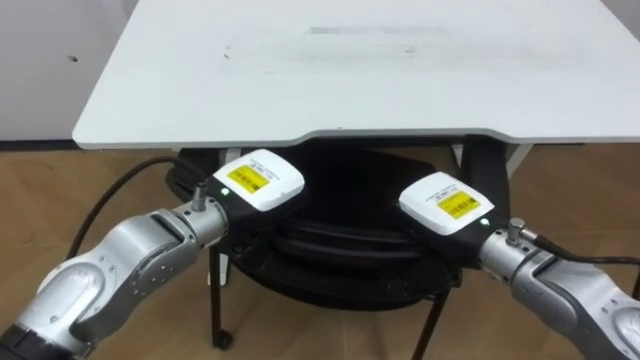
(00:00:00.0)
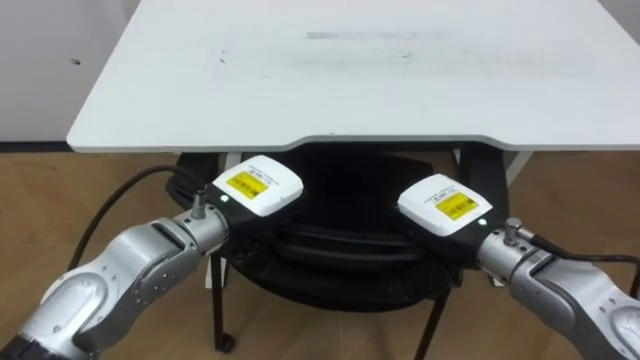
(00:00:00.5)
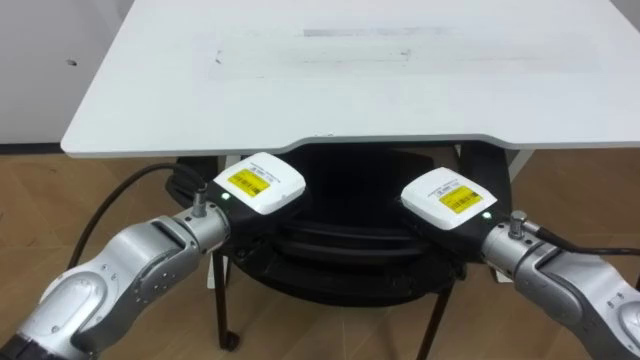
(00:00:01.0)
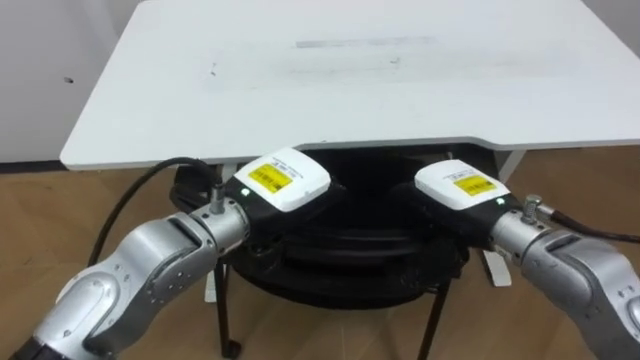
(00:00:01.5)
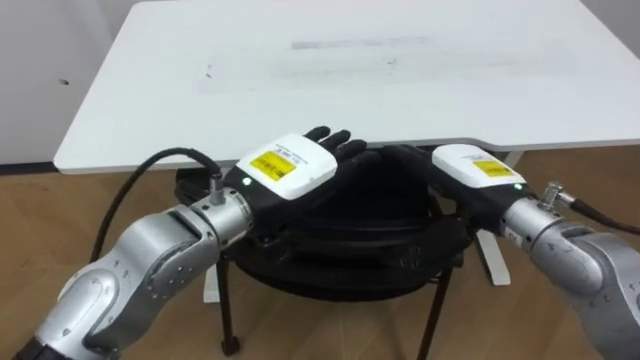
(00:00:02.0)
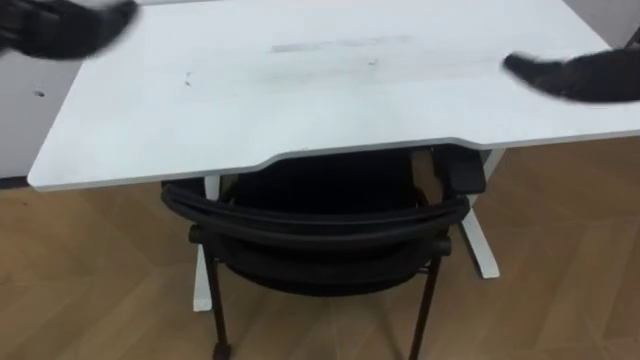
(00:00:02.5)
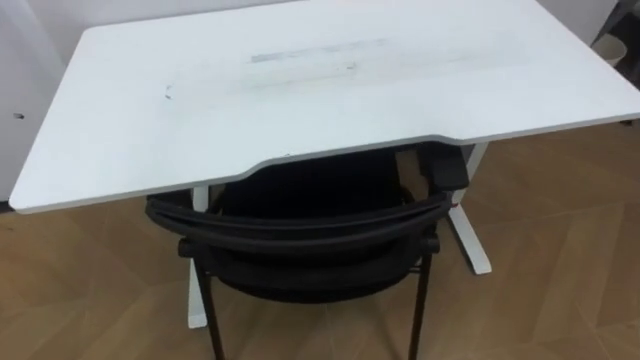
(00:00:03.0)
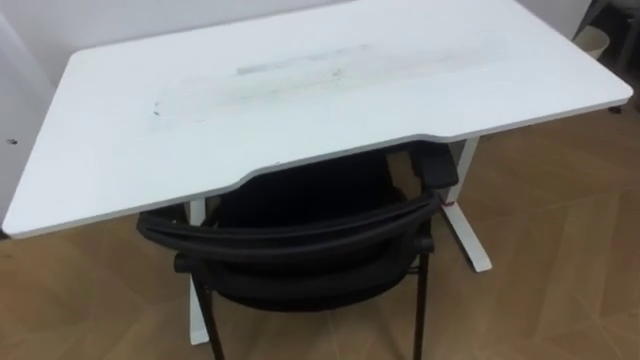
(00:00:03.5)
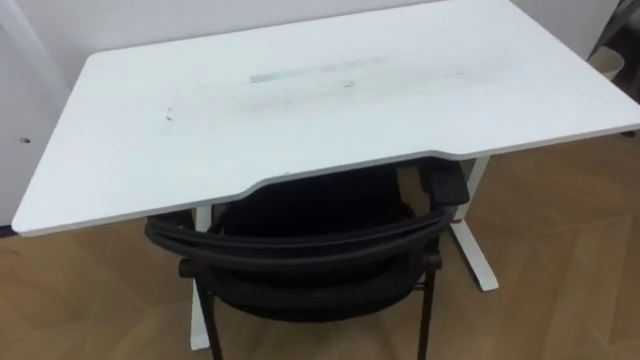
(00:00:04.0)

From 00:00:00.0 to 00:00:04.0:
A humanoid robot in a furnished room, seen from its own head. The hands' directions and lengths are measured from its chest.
Task of the whole recording: Push the chair under the table.
From 00:00:00.0 to 00:00:02.0: The right hand opens, while the left hand ends up roughly 5 cm from where it was, and opens its fingers.

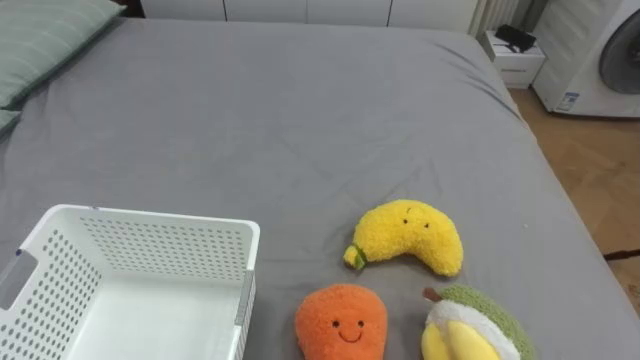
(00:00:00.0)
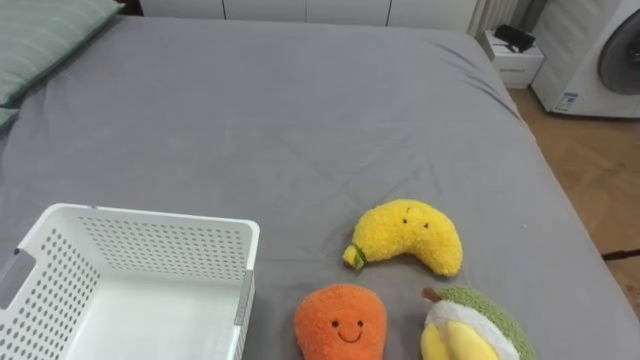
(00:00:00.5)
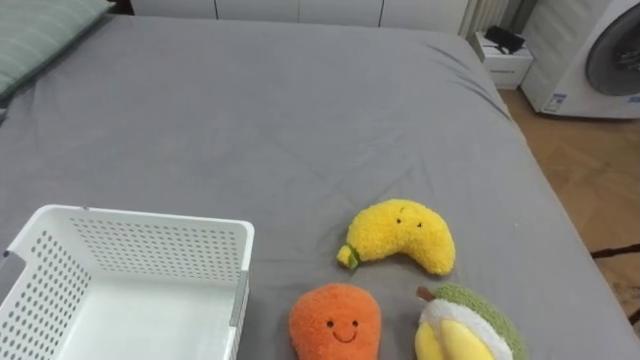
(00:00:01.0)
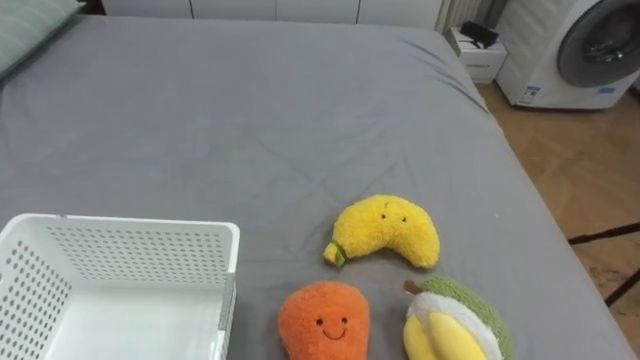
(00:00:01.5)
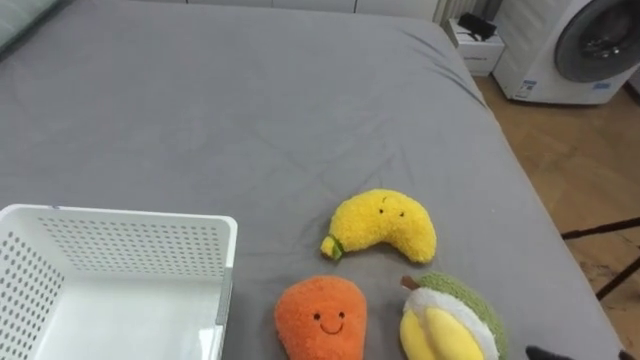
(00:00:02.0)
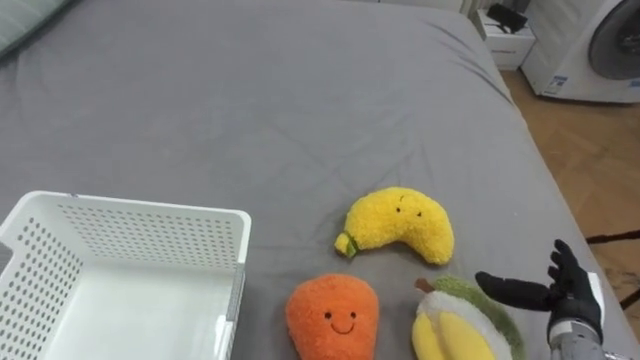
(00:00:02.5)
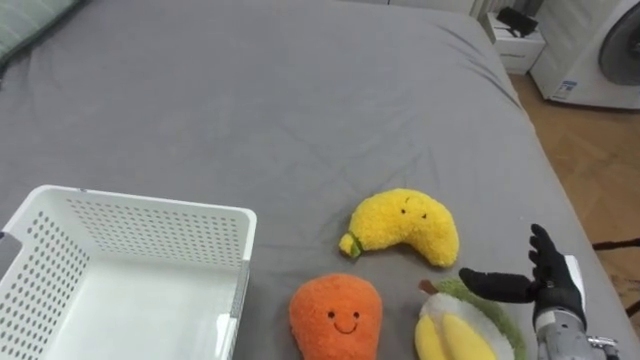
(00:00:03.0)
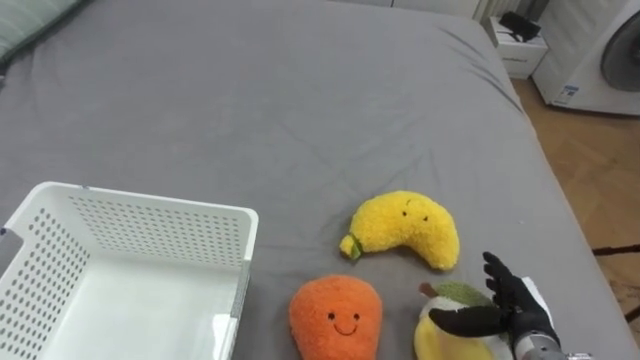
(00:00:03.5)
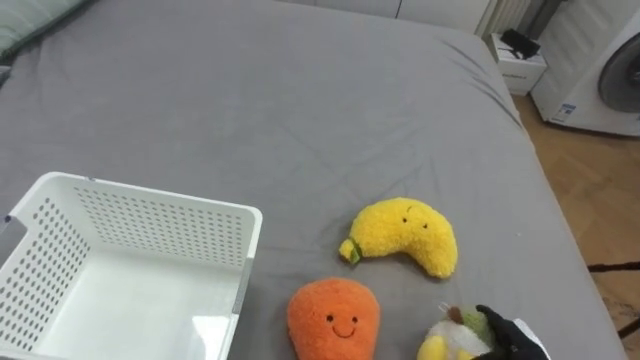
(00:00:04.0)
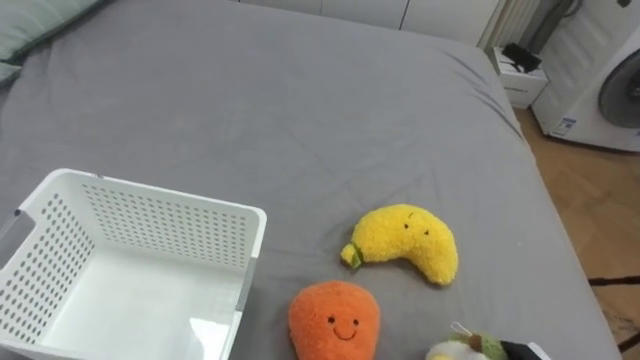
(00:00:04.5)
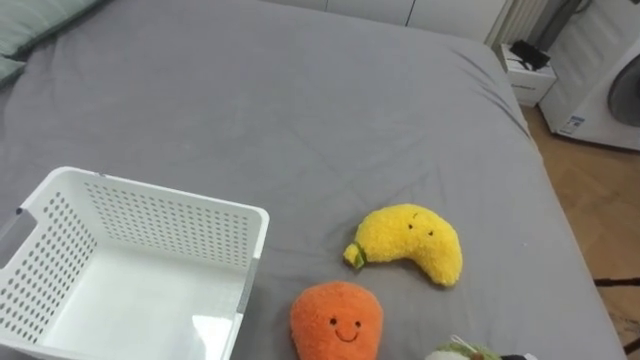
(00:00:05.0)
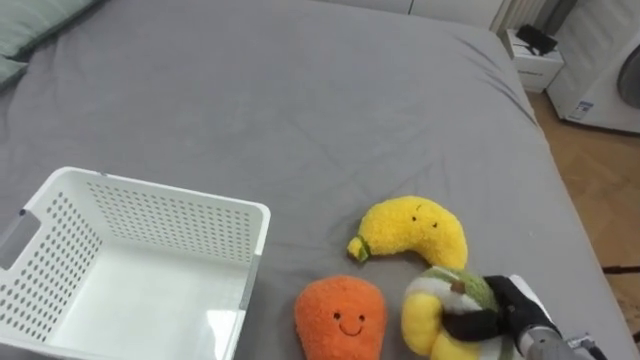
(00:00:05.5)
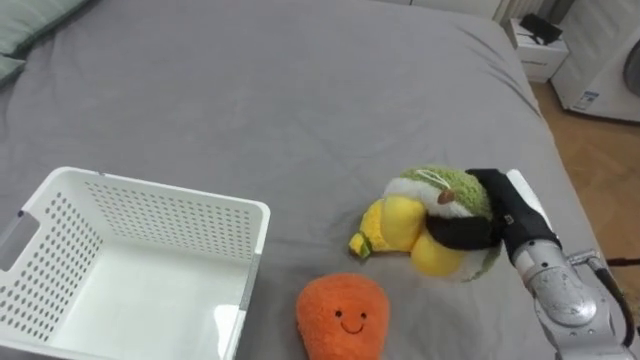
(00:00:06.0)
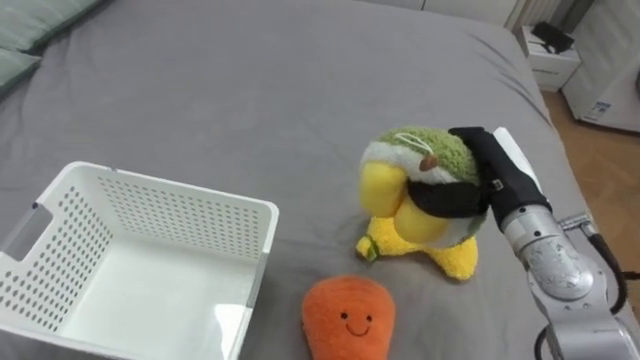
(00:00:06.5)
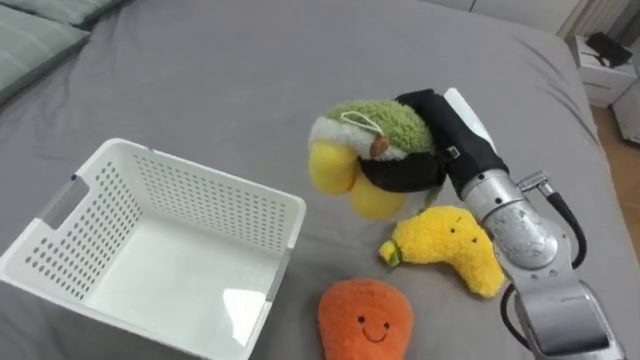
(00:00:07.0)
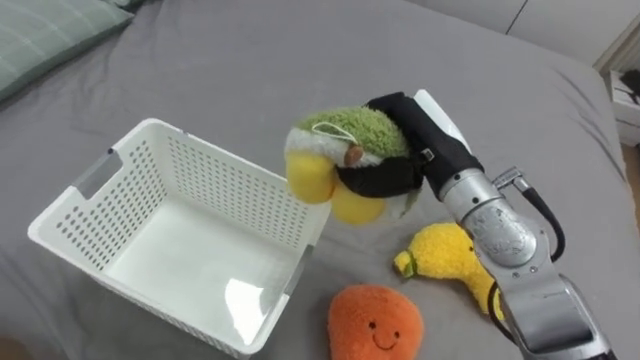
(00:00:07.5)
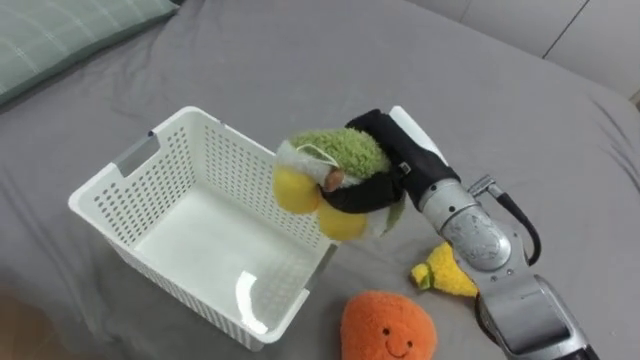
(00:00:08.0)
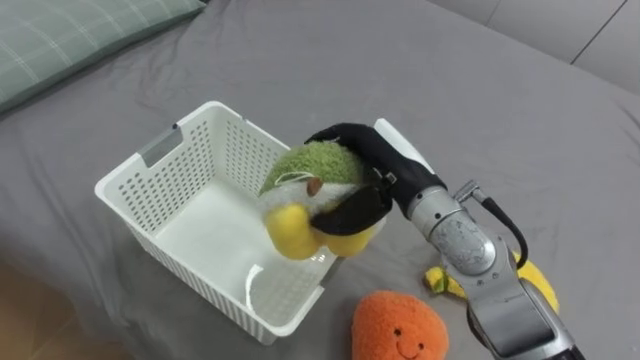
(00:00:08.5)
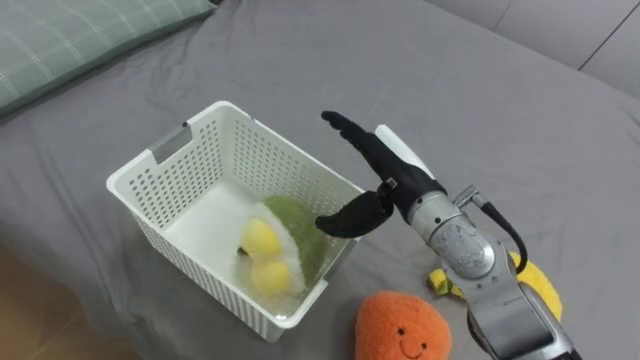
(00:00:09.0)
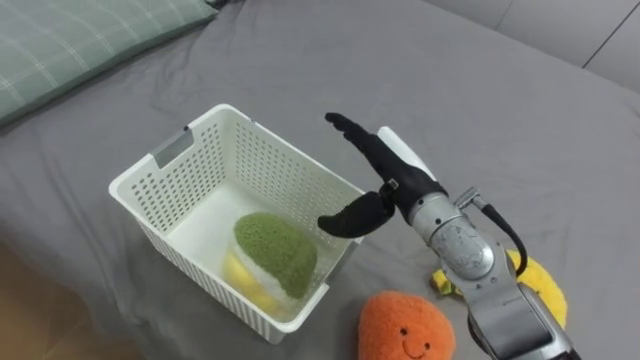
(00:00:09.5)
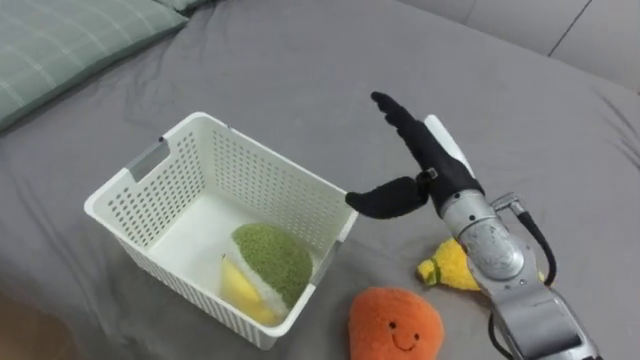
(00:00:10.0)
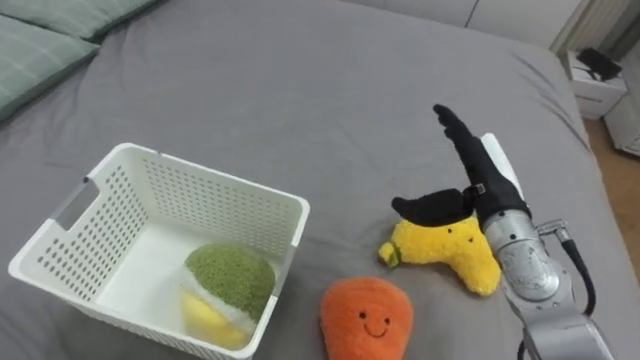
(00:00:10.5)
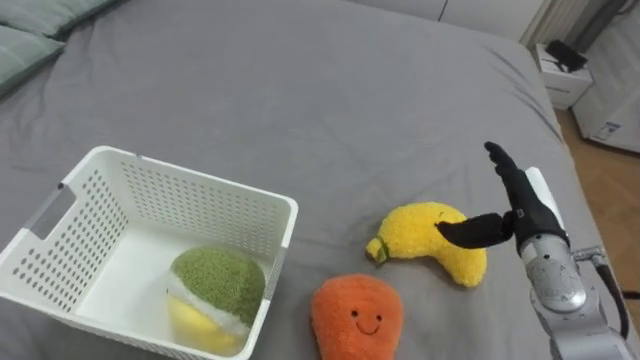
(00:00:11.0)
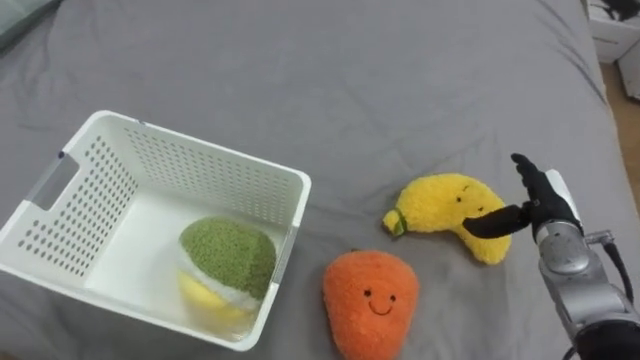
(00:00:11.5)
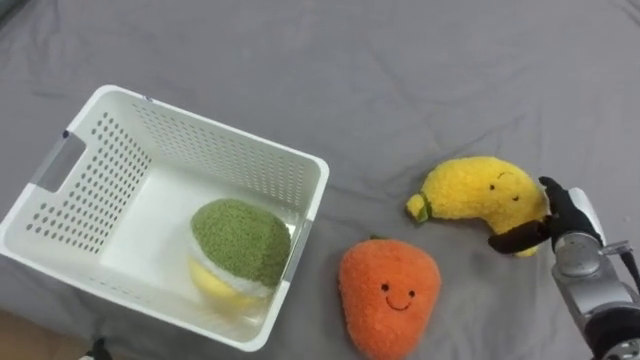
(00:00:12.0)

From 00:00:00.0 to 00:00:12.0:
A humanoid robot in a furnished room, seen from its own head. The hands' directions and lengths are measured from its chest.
Task of the whole recording: Put the toys on the bed into the basket on the left.
From 00:00:06.0 to 00:00:08.0: The right hand shifts approximately 15 cm to the left and upward.
From 00:00:08.0 to 00:00:10.0: The right hand opens.
From 00:00:10.0 to 00:00:12.0: The right hand is displaced to the right and downward by roughly 25 cm.

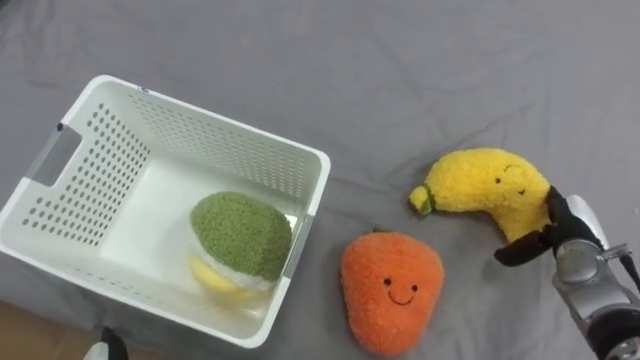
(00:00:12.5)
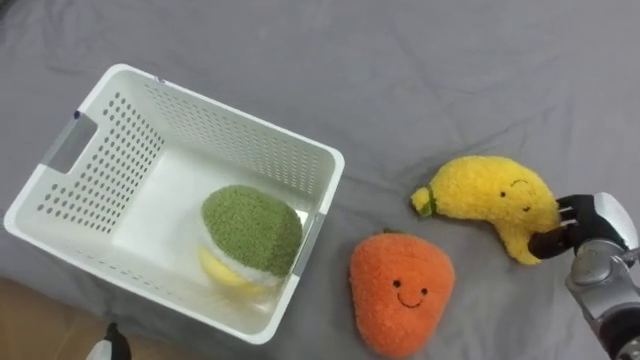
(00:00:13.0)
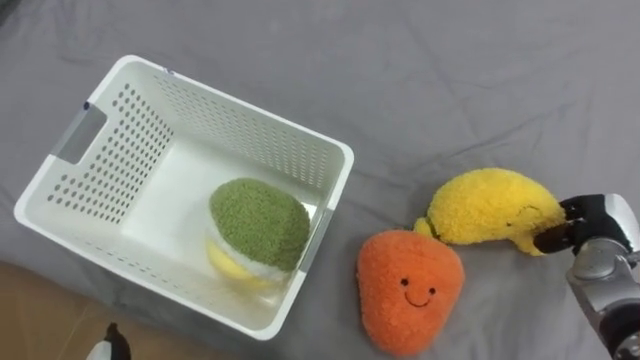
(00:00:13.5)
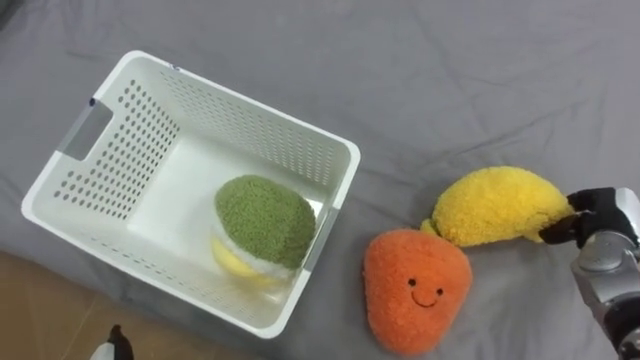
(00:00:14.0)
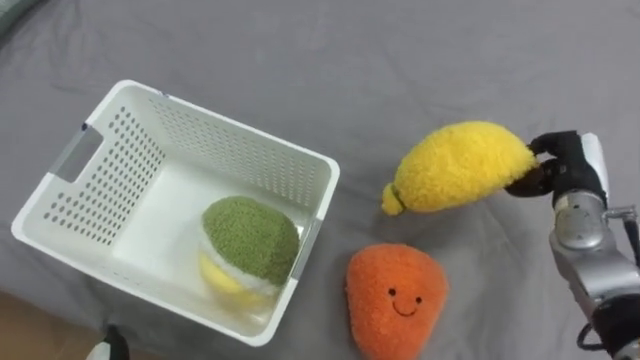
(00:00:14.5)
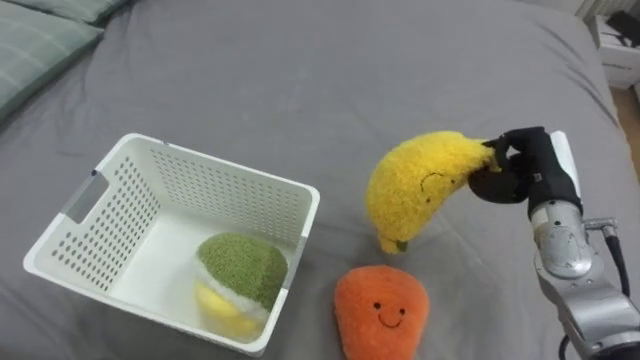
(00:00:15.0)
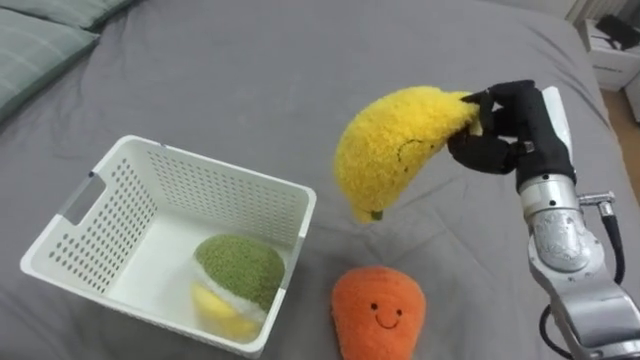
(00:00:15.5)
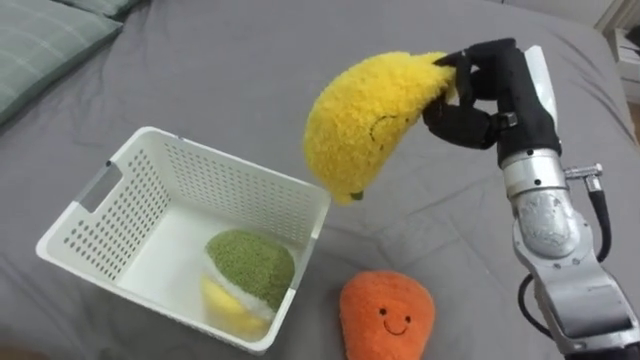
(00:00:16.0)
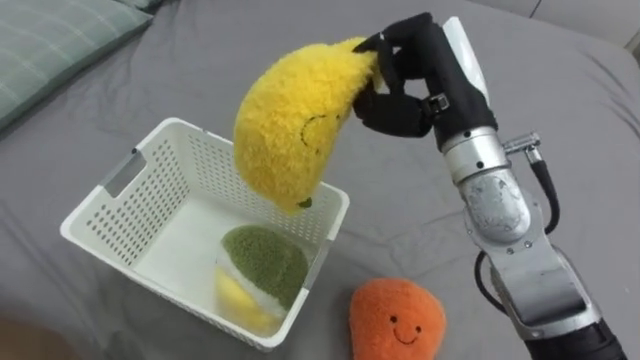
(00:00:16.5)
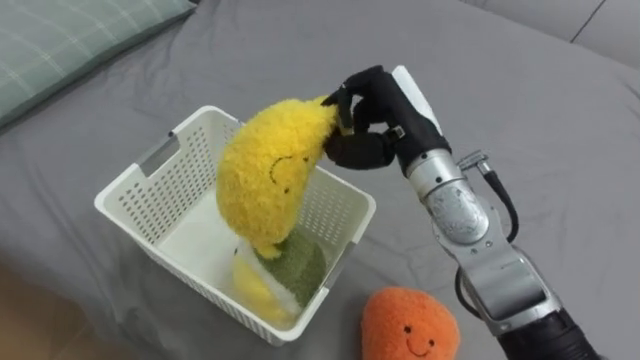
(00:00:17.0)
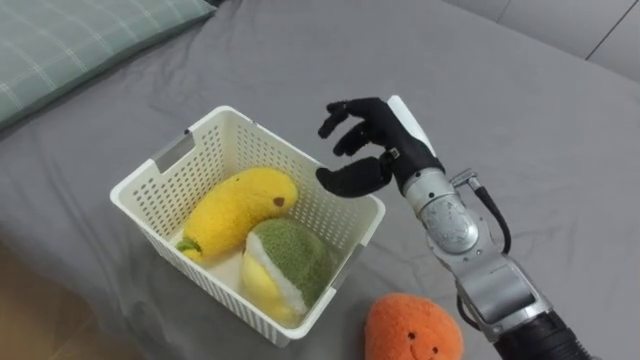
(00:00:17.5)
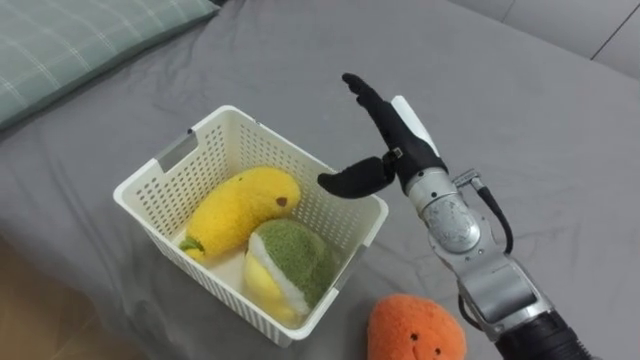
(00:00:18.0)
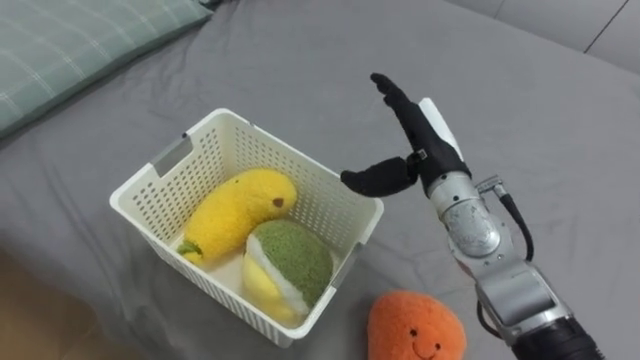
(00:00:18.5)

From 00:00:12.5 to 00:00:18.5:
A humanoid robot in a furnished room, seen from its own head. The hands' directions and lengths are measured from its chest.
Task of the whole recording: Put the toys on the bed into the basket on the left.
From 00:00:12.5 to 00:00:14.5: The right hand travels upward by roughly 10 cm, and closes.
From 00:00:14.5 to 00:00:16.5: The right hand is displaced to the left and upward by approximately 25 cm.
From 00:00:16.5 to 00:00:18.5: The right hand travels downward by about 10 cm, and opens up.
